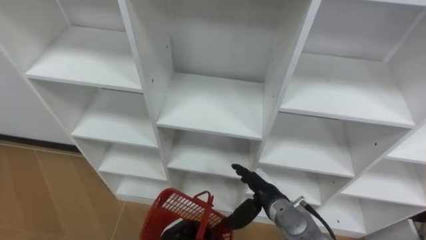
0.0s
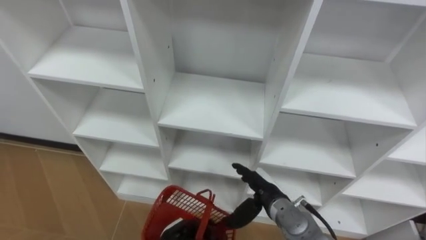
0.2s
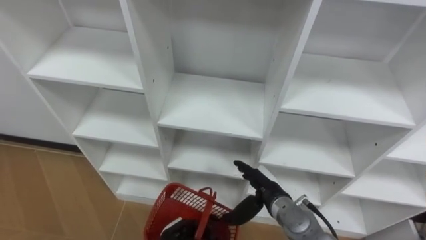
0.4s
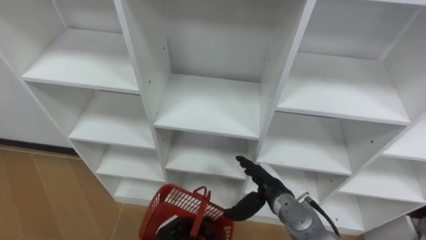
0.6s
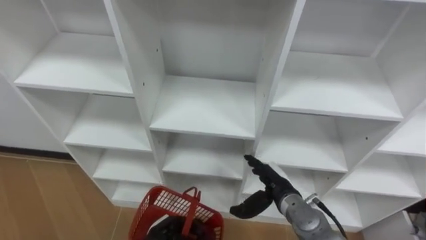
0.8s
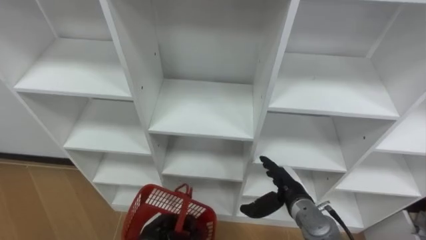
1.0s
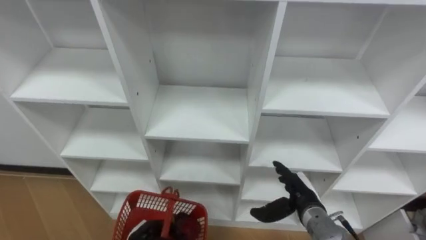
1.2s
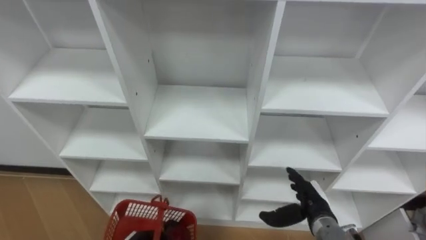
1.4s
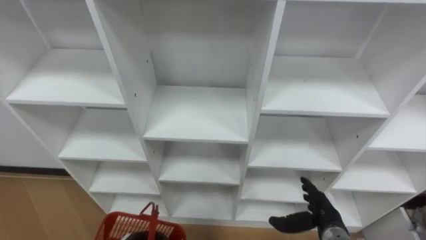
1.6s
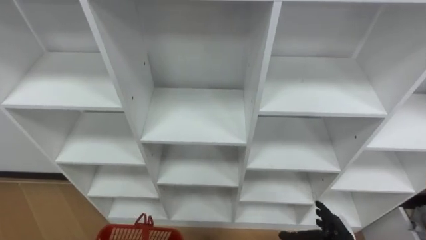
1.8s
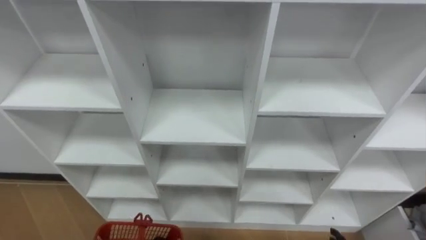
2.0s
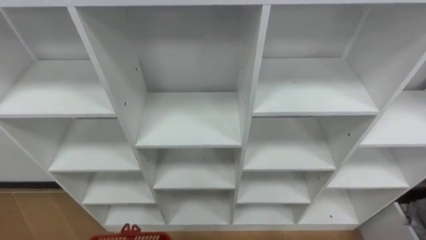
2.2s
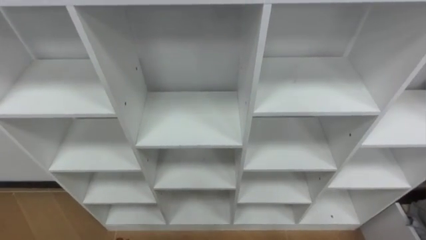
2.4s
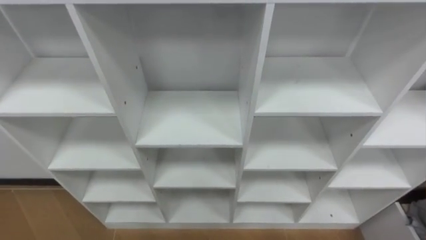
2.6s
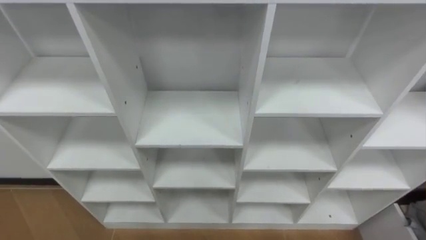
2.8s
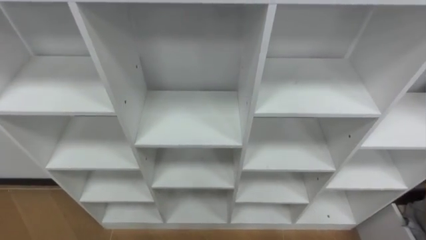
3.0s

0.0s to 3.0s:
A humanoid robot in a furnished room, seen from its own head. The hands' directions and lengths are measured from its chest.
Task of the whole recording: Hold the basket and collect the fruits from 3 different cells of the closet into it.
0.0s to 1.6s: The right hand is displaced to the right by roughly 10 cm.

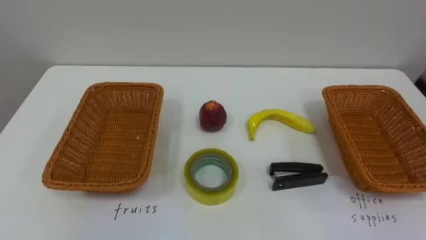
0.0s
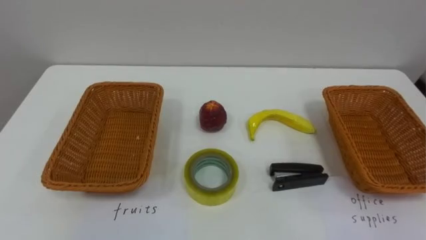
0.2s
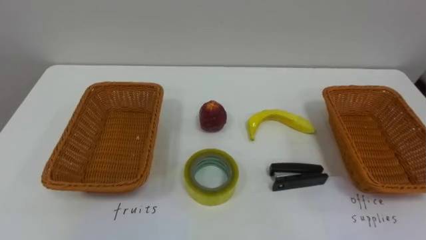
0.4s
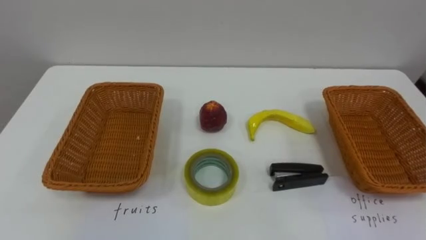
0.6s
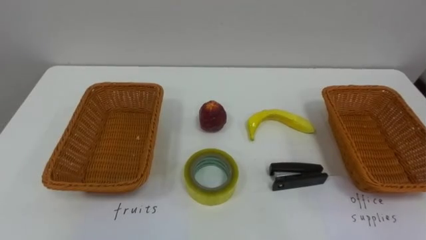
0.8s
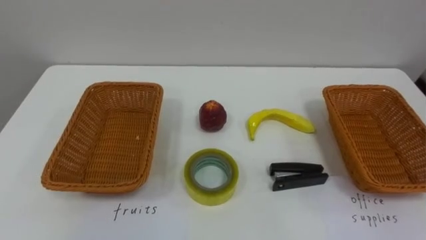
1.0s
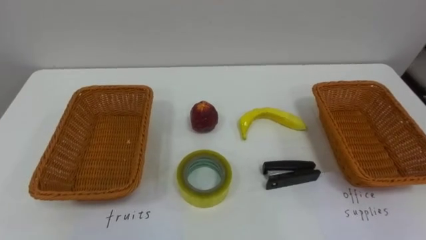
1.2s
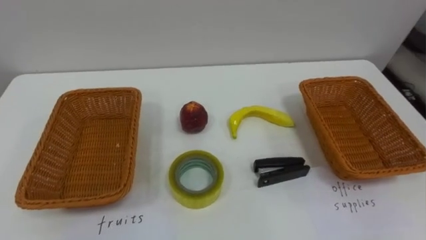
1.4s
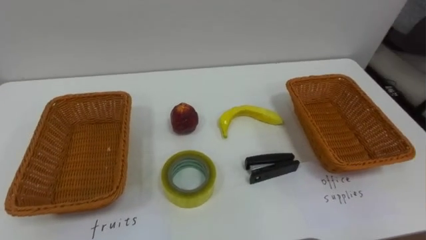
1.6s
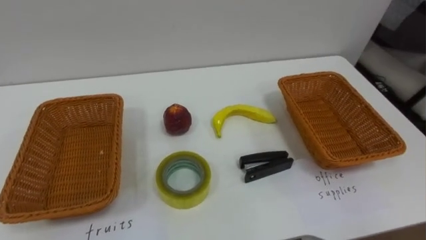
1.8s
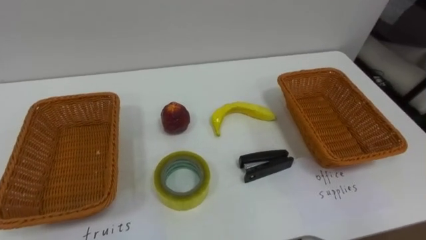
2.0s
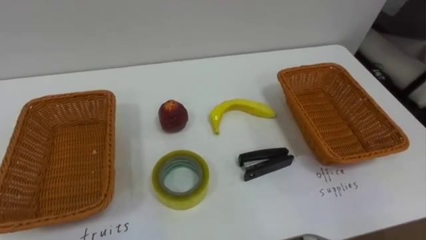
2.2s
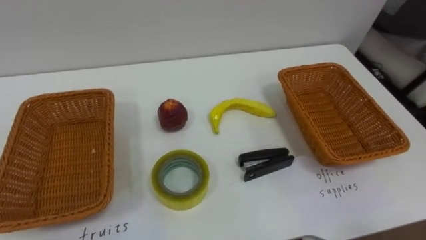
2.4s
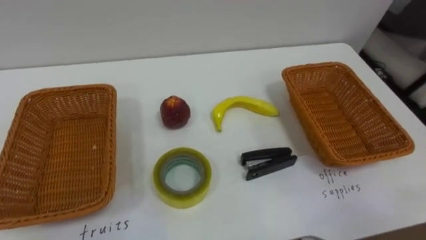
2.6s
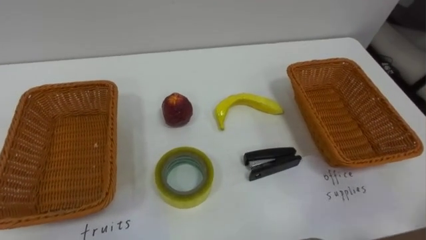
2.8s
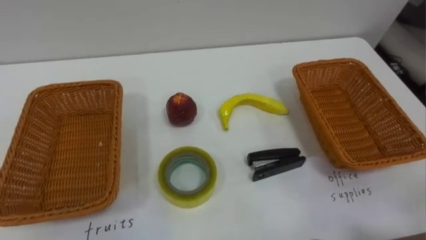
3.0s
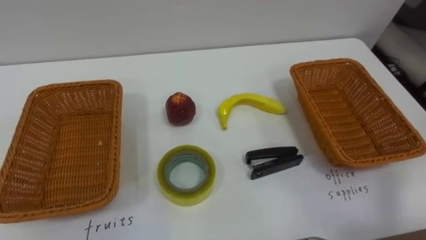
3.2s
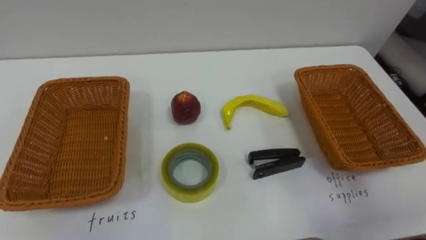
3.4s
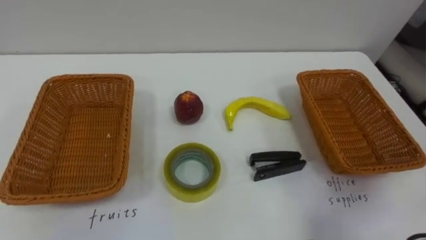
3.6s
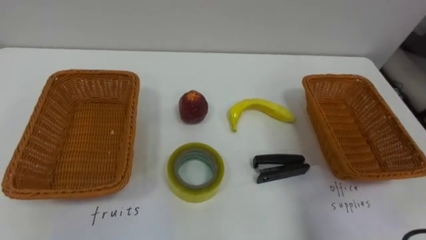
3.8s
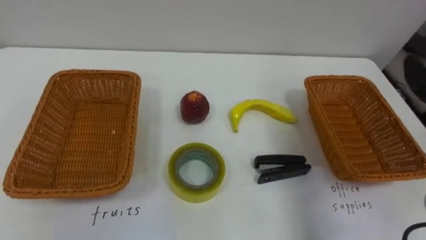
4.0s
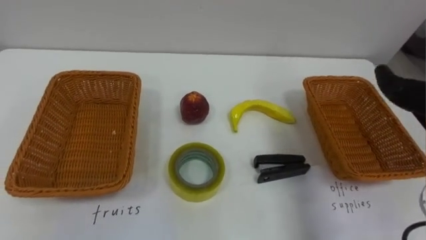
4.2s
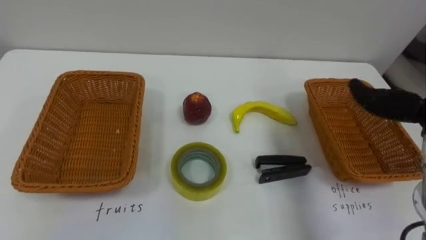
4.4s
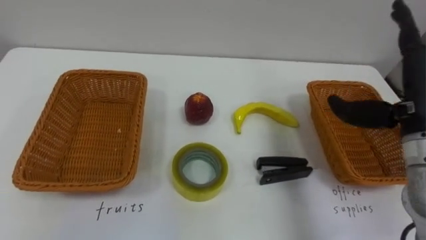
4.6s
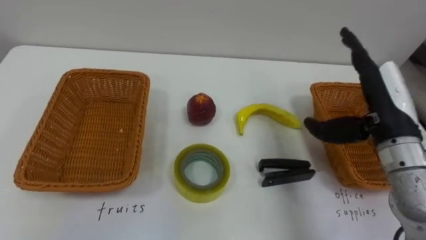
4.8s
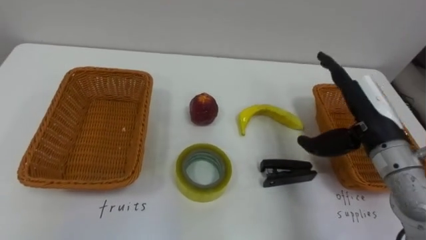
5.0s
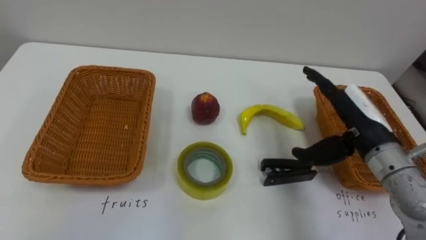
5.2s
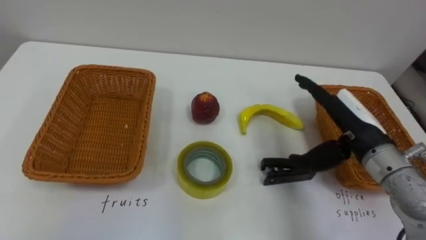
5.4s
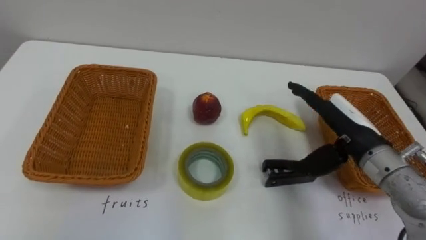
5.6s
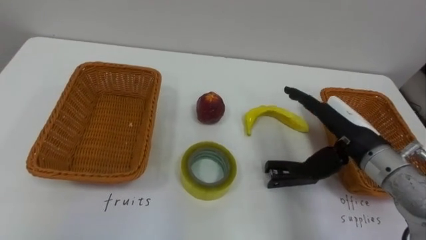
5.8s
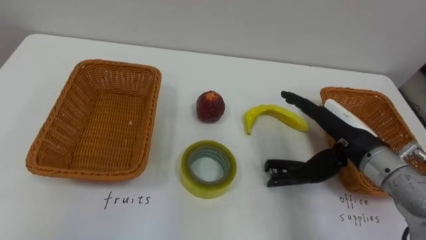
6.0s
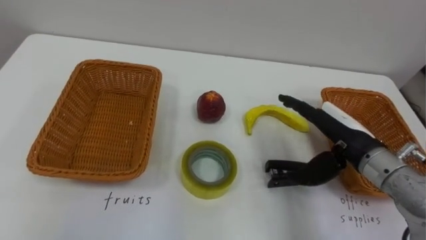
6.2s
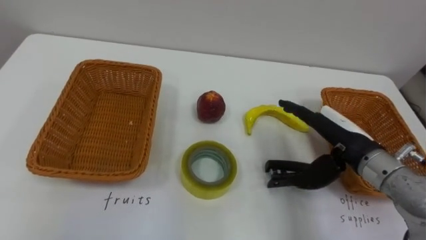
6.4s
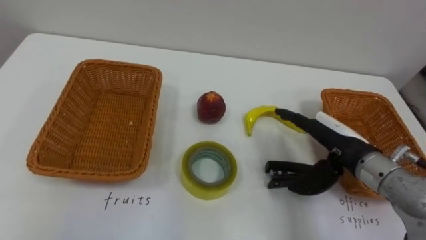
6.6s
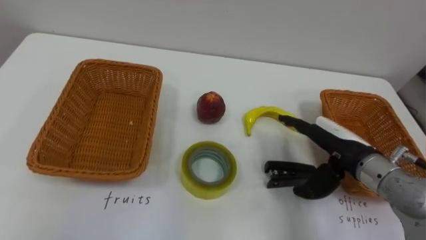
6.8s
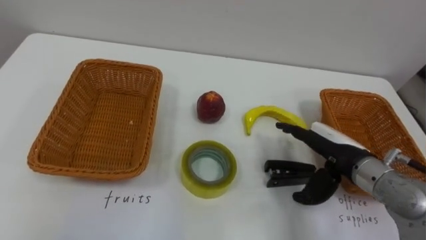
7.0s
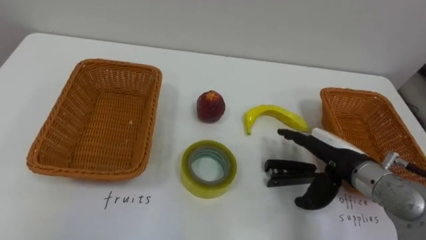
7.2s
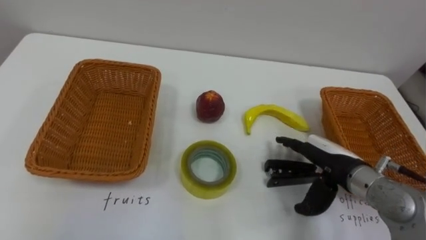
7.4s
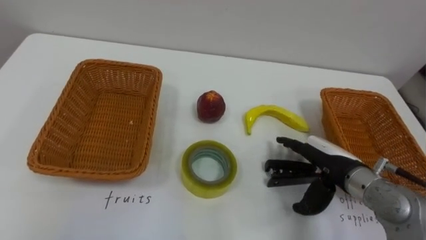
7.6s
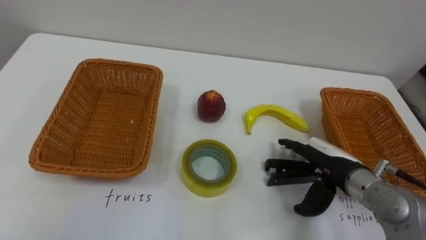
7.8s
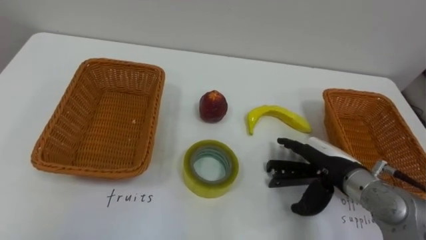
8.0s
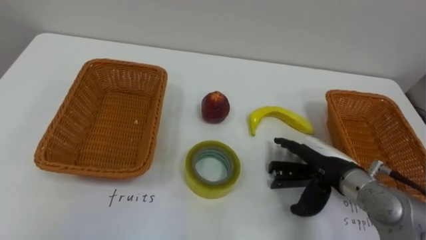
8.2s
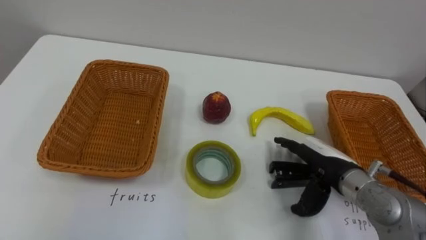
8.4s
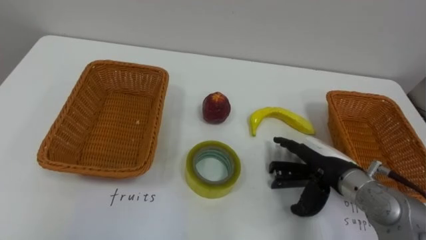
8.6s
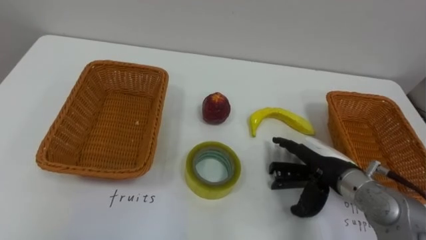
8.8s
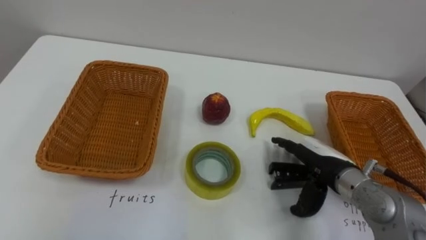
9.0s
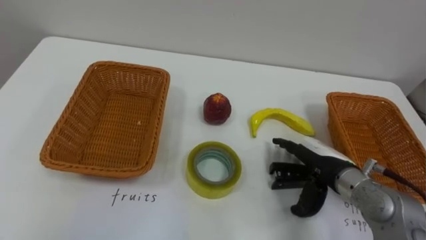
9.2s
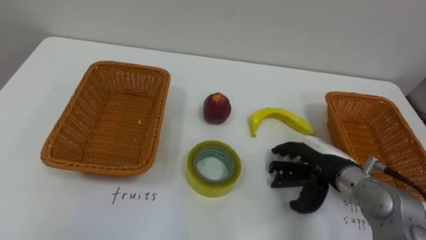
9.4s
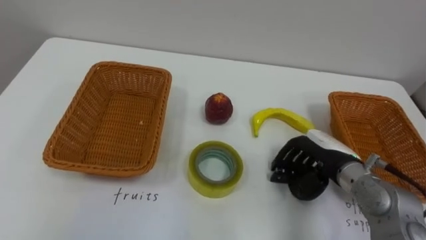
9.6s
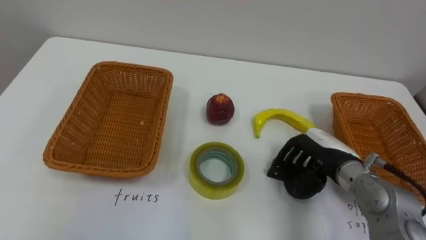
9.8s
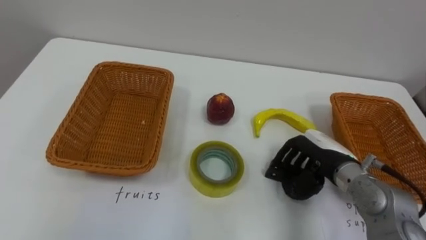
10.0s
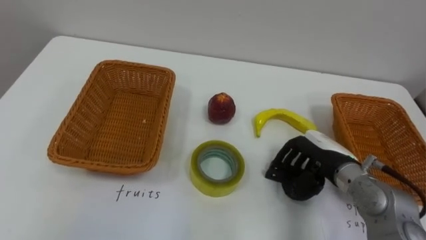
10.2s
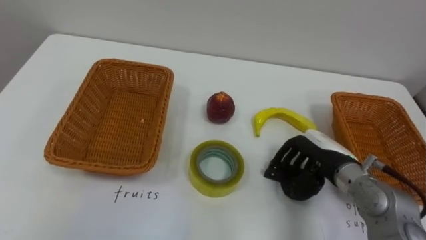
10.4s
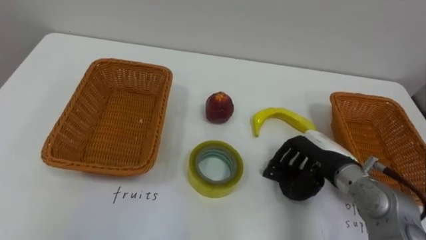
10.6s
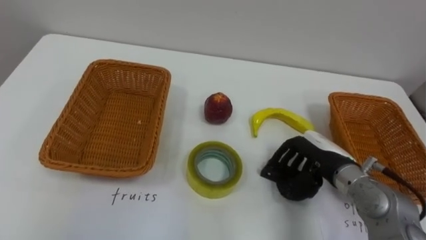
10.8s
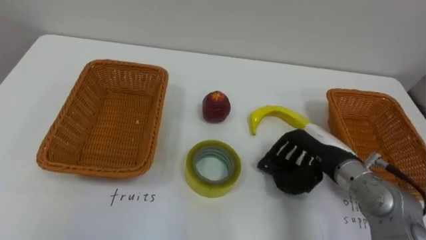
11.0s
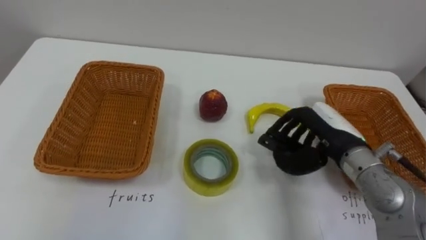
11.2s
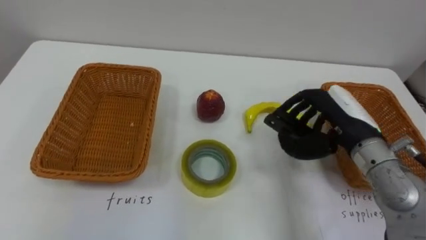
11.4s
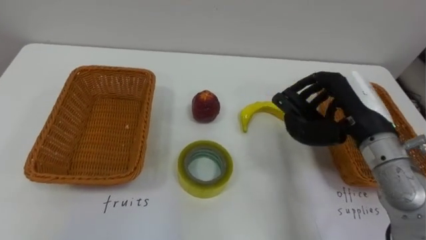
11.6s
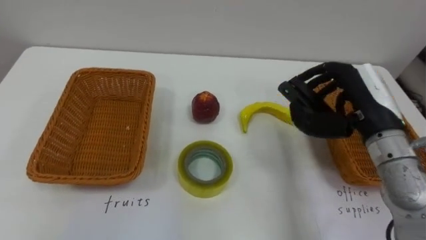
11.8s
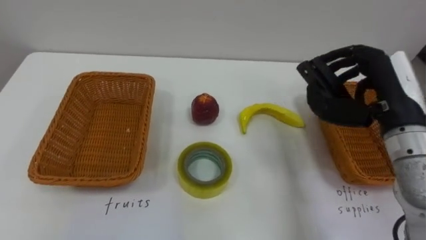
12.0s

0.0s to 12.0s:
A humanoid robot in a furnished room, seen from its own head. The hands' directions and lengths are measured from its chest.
Task of the whole recording: Separate the items on the table and place them into the two baskets.
6.0s to 7.6s: The right hand moves downward, some 5 cm.
9.0s to 10.4s: The right hand closes up.
10.4s to 12.0s: The right hand shifts approximately 15 cm upward.

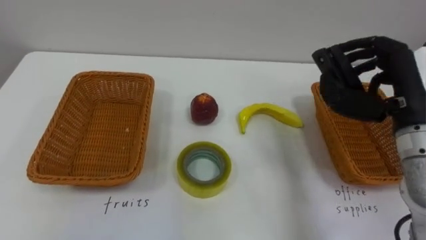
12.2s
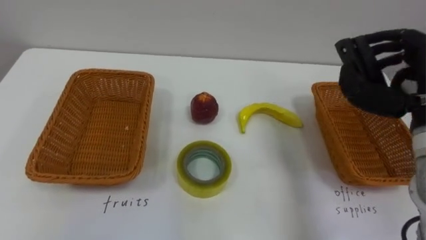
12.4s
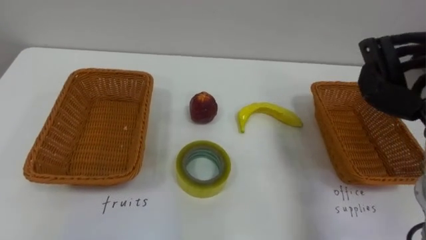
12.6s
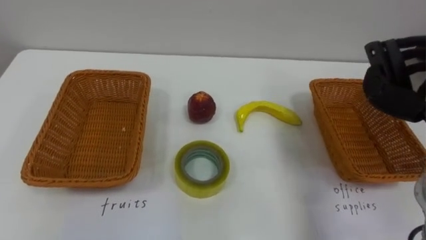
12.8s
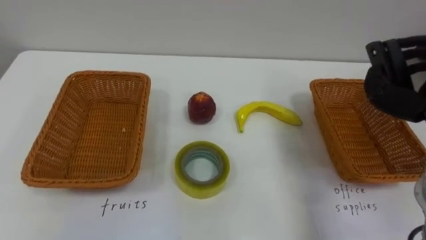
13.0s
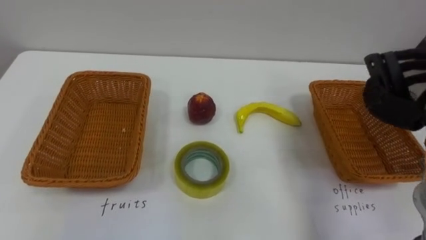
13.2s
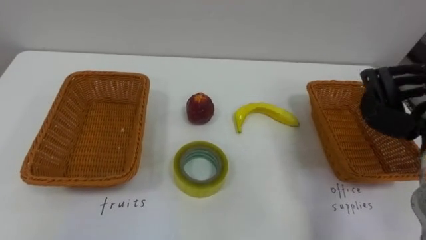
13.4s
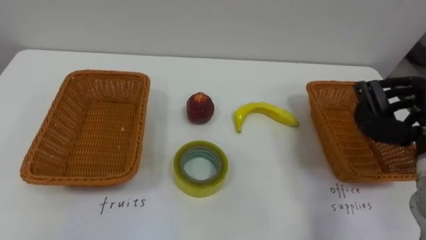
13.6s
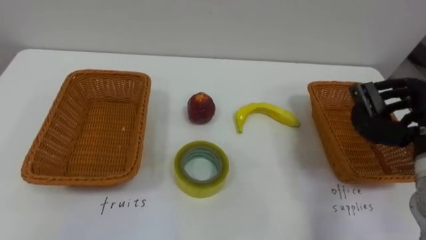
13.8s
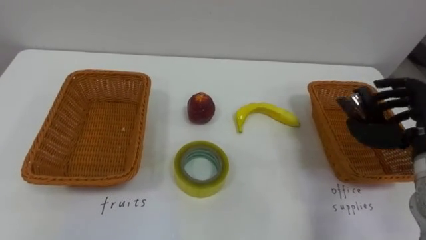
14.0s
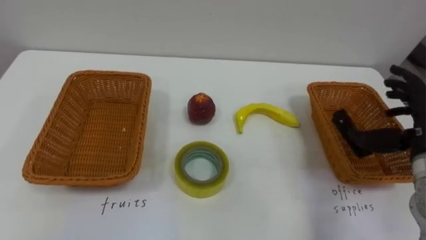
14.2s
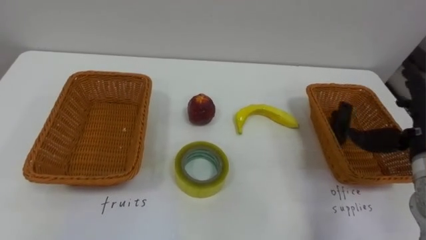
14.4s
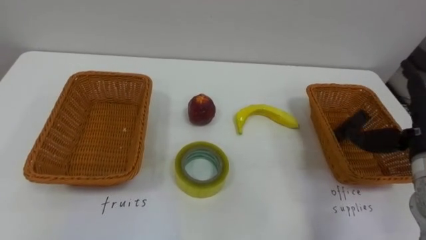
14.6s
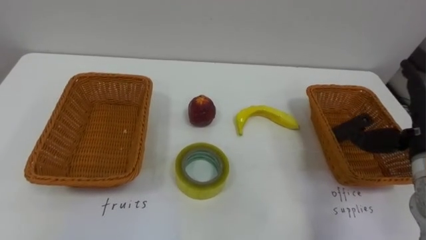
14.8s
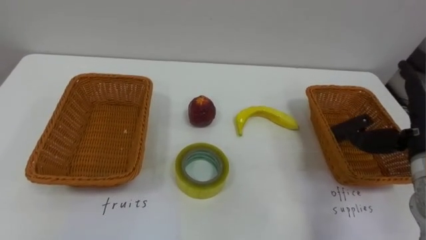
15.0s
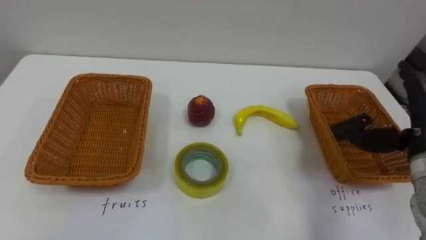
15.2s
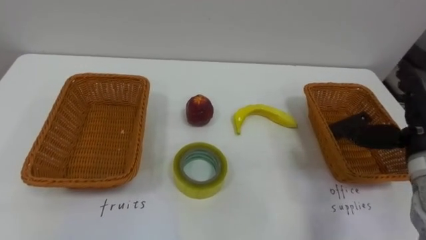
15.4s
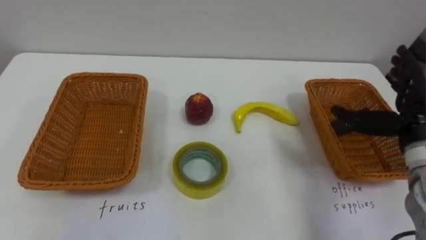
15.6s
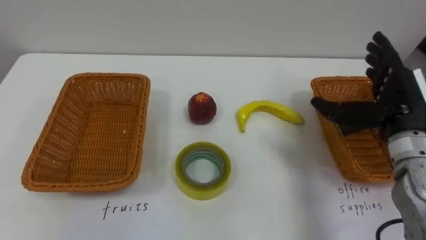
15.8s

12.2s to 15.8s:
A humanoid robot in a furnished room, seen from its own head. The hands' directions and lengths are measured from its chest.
Task of the whole recording: Separate the items on the table and place them into the two baskets.
14.0s to 15.8s: The right hand changes place by roughly 5 cm, and opens its fingers.
